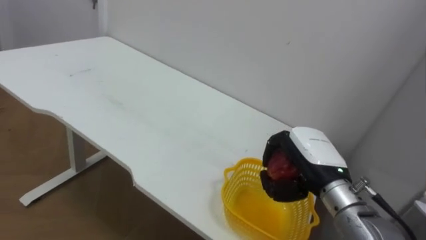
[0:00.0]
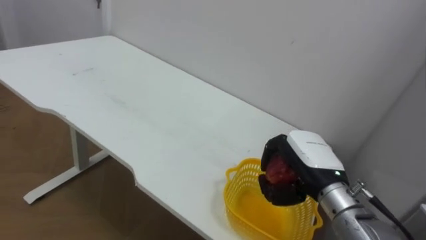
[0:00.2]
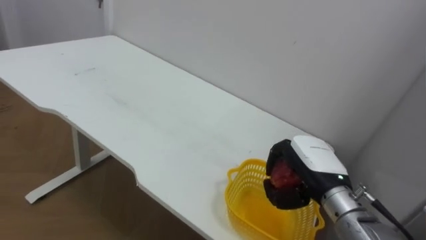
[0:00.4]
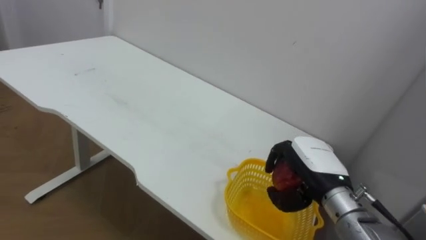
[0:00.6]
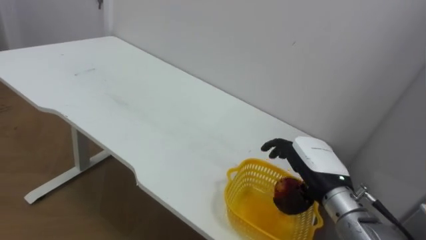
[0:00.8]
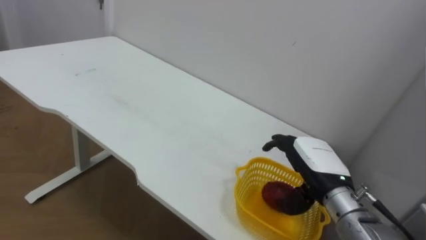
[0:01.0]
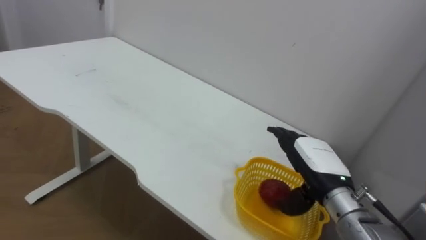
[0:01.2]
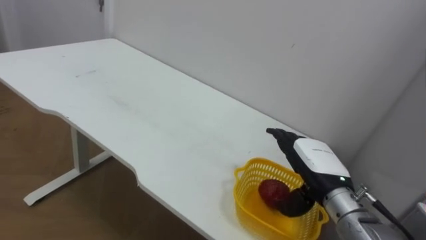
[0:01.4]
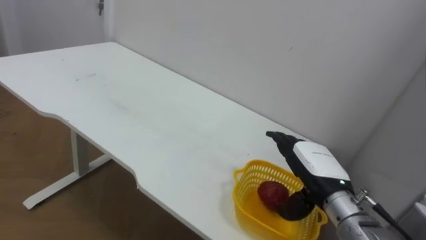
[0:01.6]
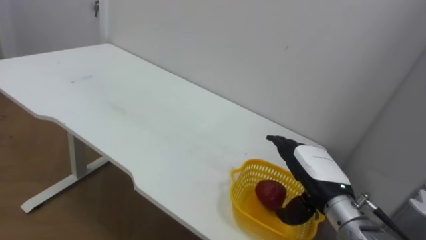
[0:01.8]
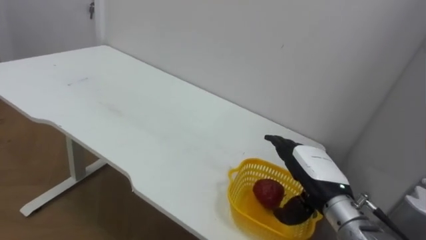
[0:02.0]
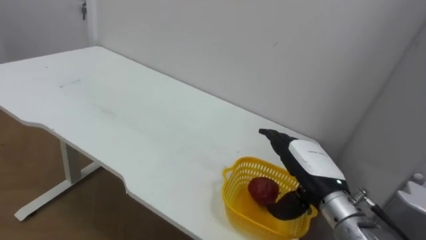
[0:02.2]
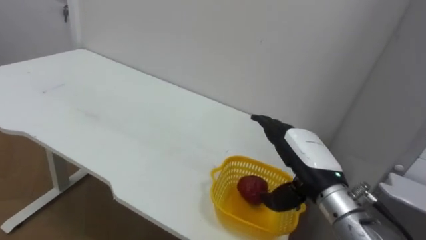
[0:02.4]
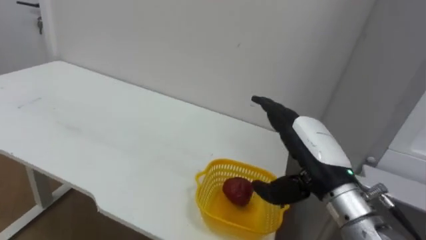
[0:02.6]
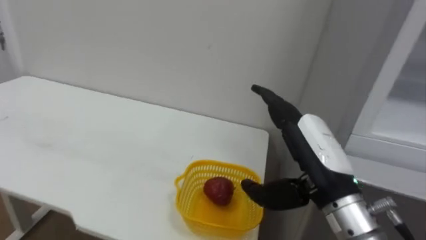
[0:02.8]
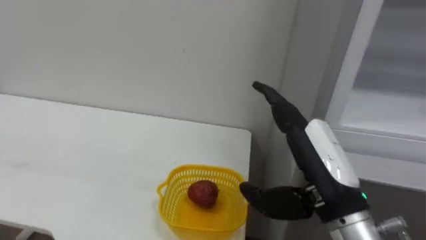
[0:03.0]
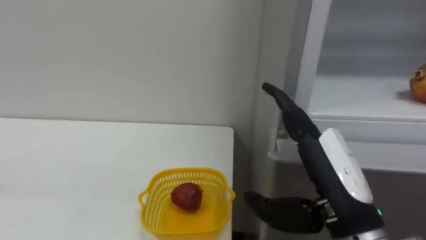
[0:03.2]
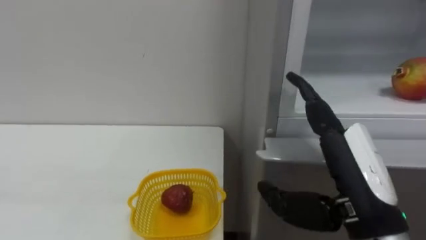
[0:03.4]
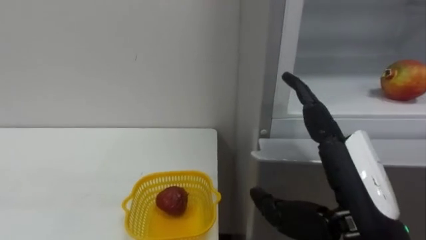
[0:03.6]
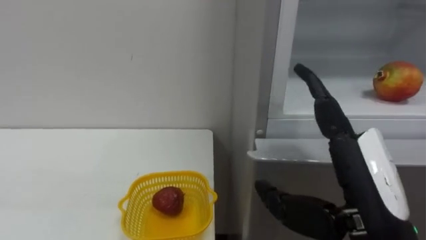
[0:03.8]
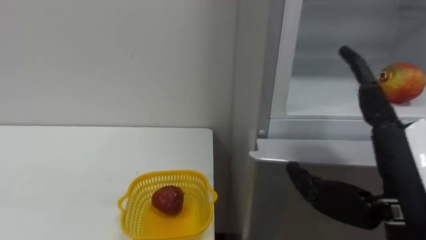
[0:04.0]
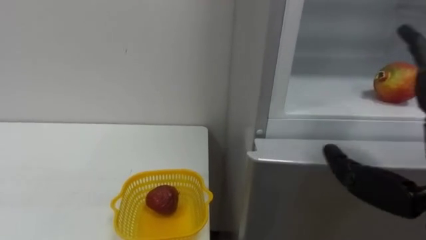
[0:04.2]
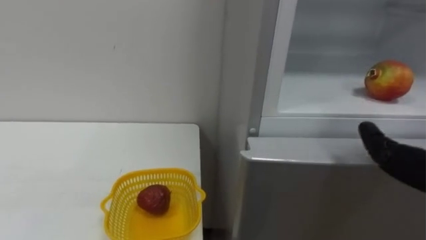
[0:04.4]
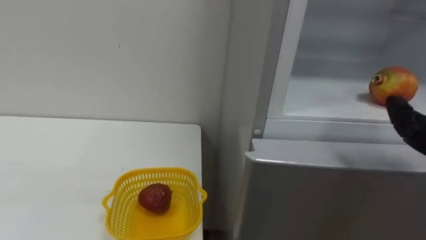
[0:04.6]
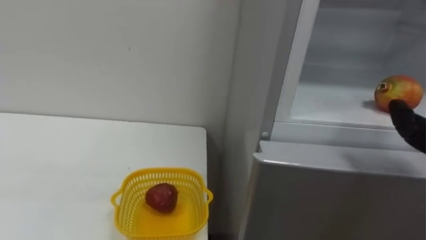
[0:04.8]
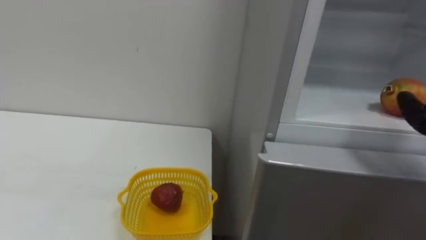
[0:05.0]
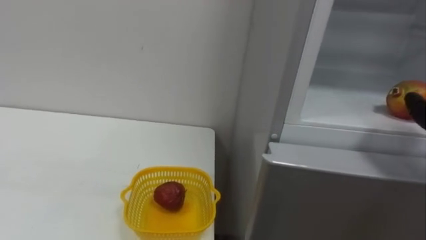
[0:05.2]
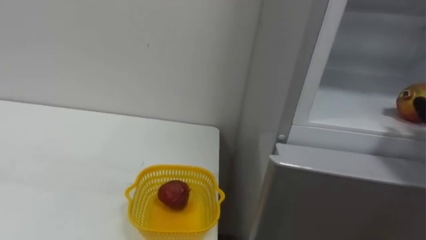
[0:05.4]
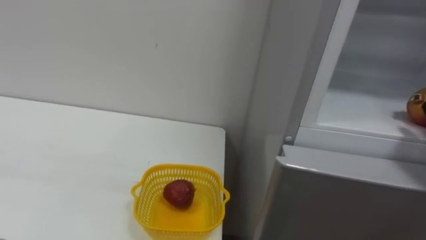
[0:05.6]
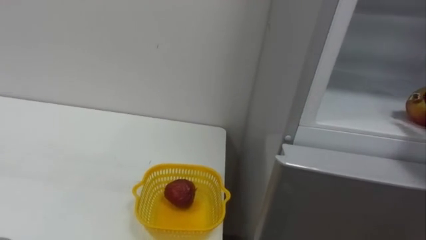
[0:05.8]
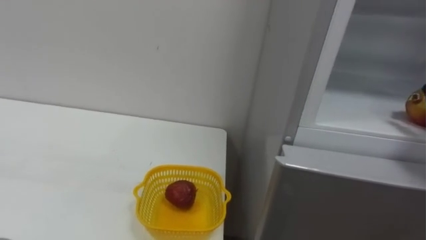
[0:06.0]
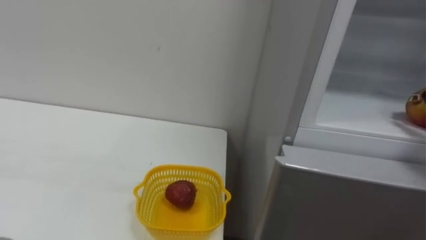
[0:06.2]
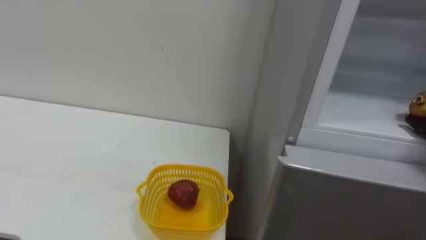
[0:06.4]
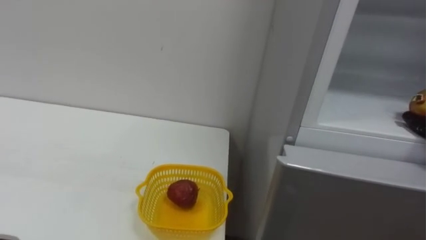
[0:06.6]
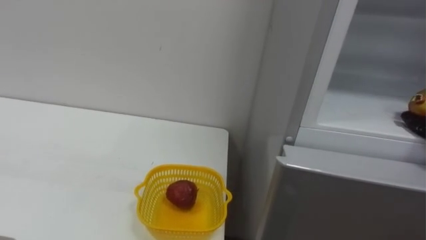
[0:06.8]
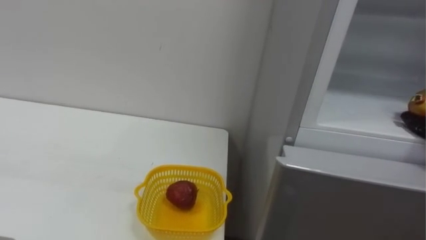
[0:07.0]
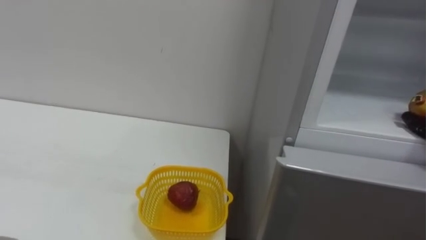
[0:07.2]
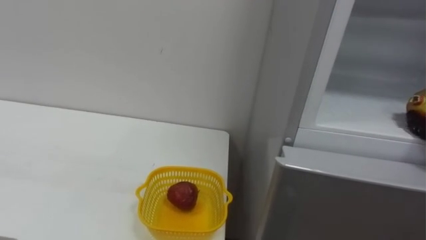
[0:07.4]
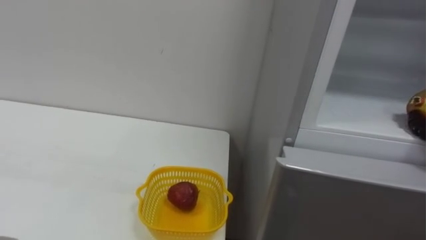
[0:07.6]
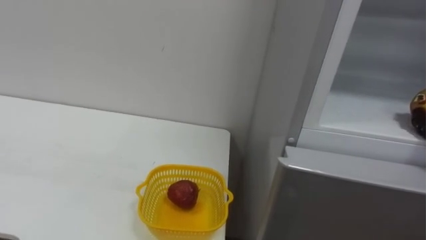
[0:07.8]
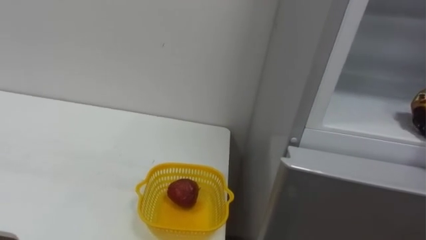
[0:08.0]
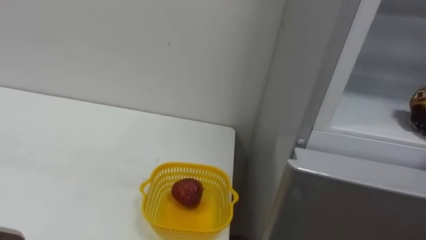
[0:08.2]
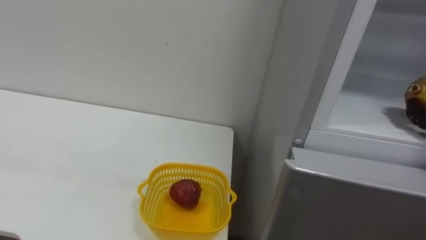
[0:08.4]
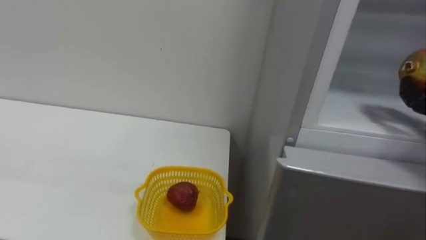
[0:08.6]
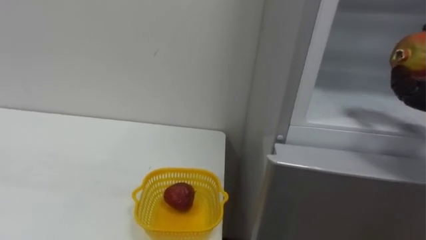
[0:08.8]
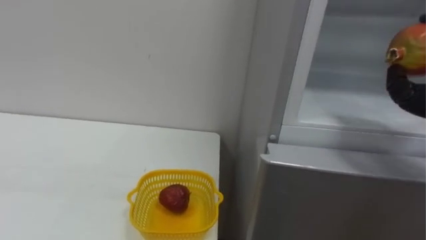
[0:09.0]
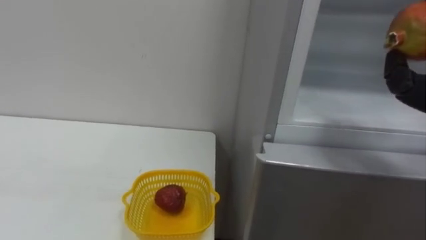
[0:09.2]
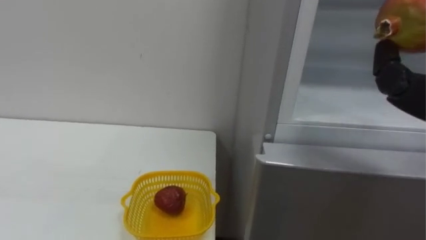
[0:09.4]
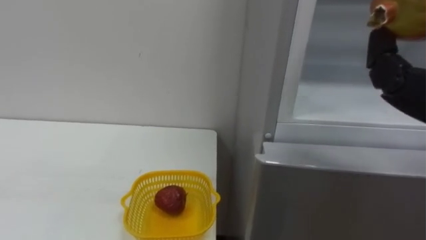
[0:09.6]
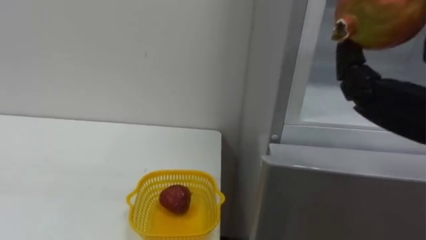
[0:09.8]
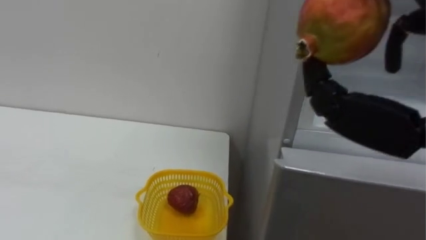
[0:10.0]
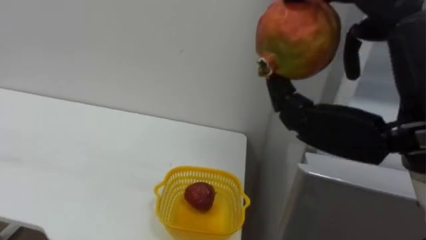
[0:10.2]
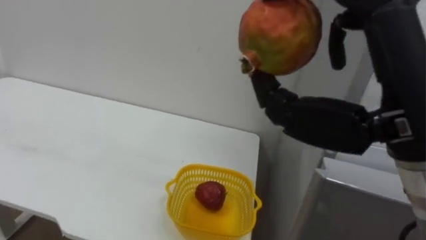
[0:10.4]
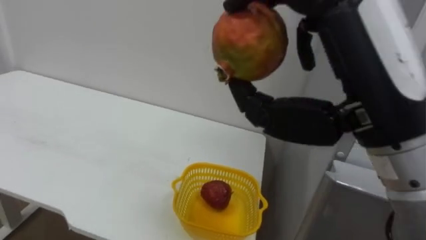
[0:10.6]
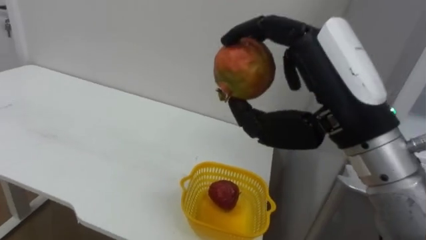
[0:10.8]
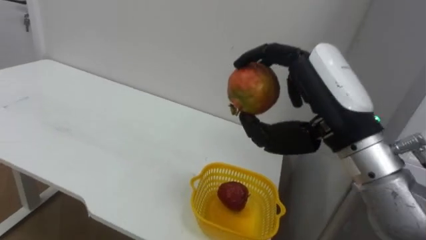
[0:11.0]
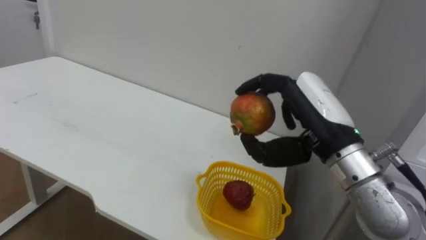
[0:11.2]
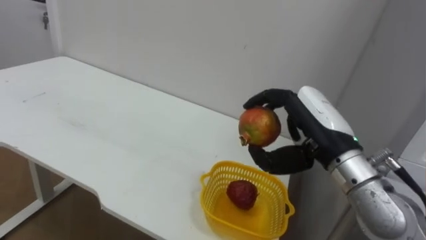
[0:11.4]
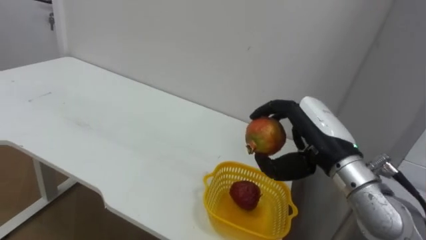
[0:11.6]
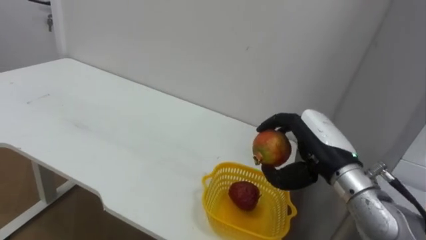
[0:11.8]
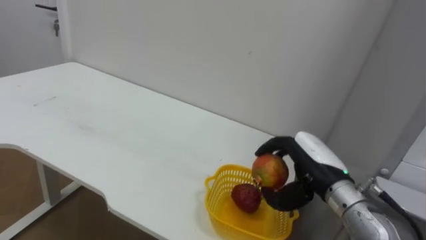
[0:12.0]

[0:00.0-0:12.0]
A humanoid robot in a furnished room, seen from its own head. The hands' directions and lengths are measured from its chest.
Task of the whole recording: Open the refrigerator door, take out the apple and the pomegranate, place them in the fruit basket on the left, and close the refrigerator door.
0:00.0 to 0:01.6: The right hand opens.
0:01.6 to 0:03.0: The right hand heads upward and backward, covering roughly 15 cm.
0:10.4 to 0:12.0: The right hand goes approximately 25 cm downward and forward.

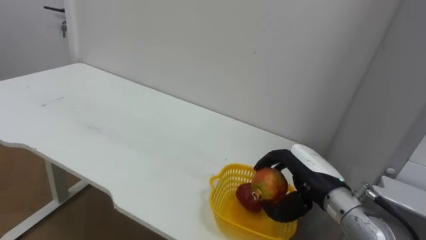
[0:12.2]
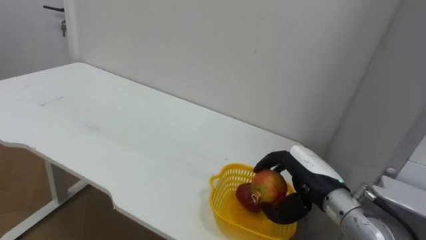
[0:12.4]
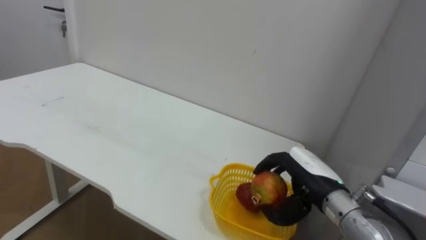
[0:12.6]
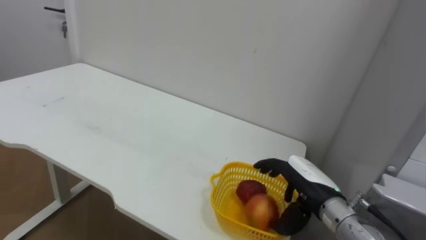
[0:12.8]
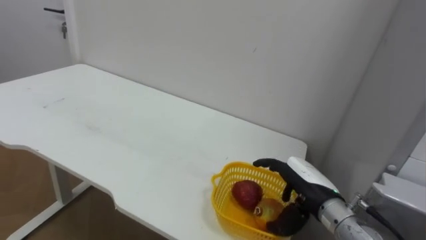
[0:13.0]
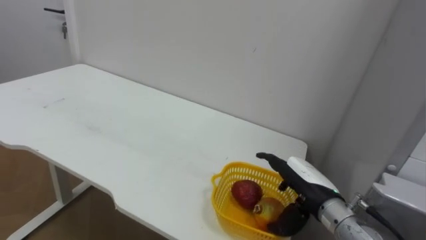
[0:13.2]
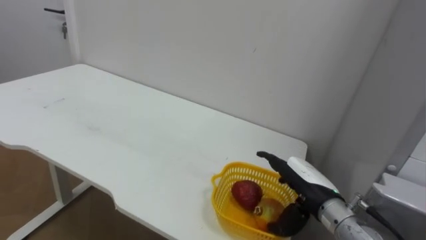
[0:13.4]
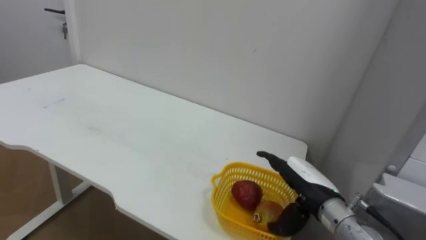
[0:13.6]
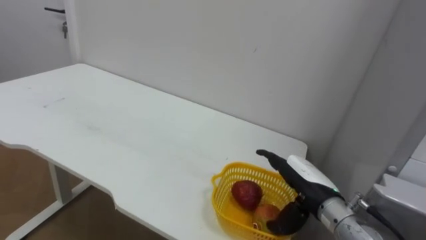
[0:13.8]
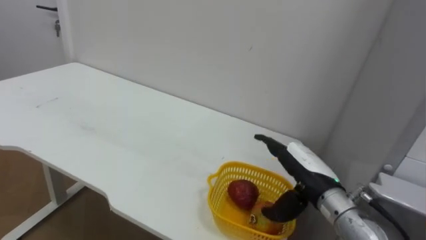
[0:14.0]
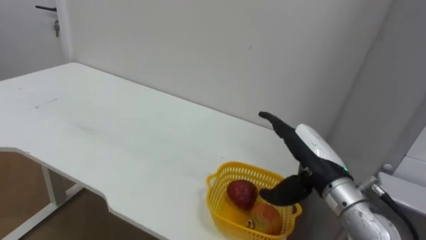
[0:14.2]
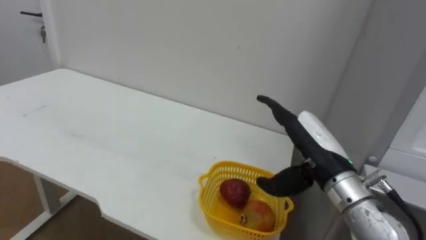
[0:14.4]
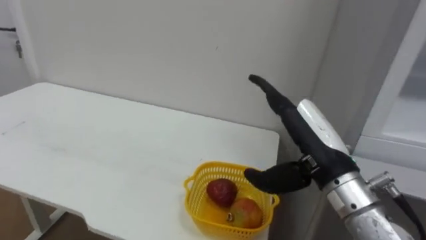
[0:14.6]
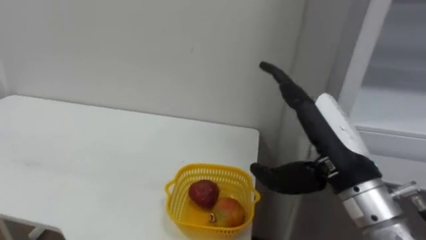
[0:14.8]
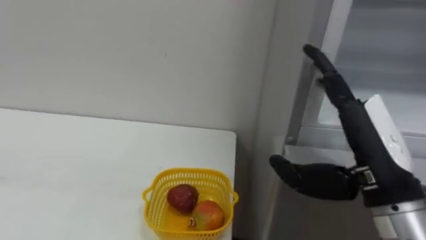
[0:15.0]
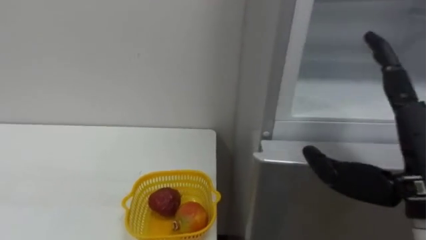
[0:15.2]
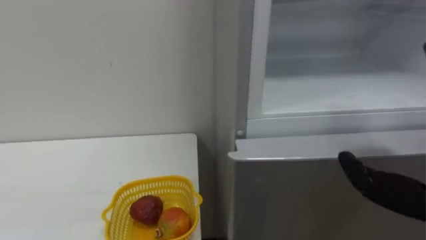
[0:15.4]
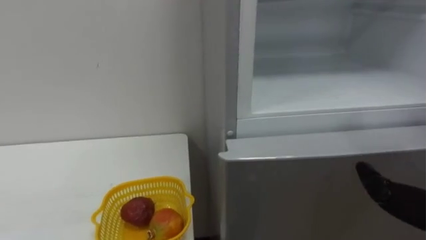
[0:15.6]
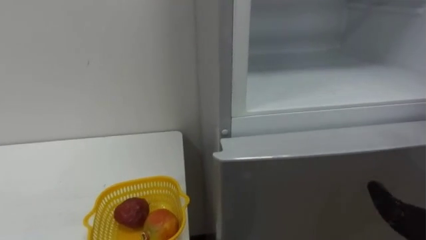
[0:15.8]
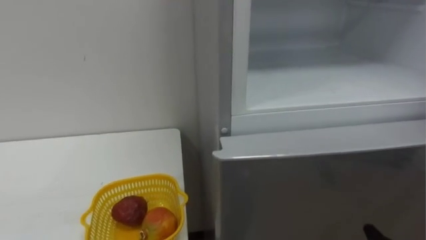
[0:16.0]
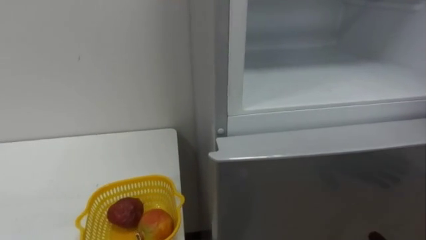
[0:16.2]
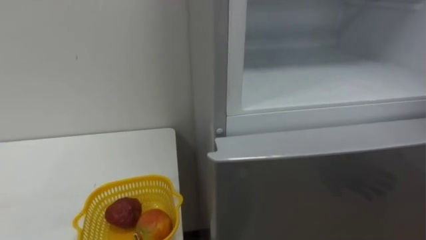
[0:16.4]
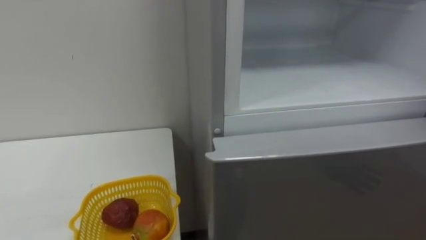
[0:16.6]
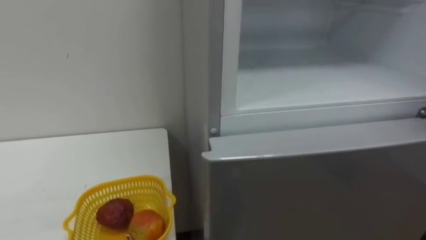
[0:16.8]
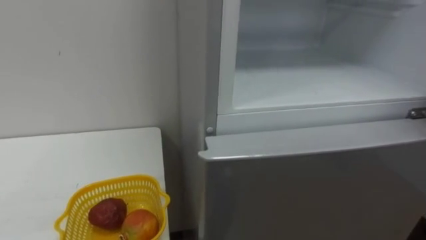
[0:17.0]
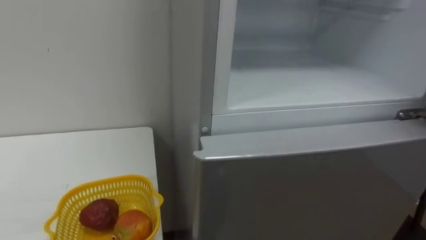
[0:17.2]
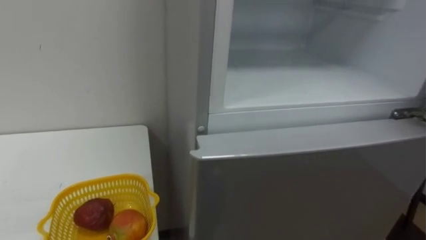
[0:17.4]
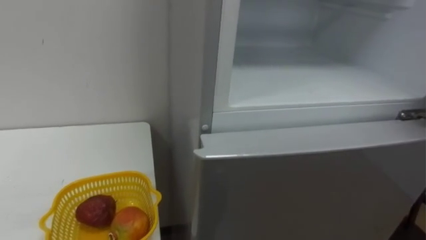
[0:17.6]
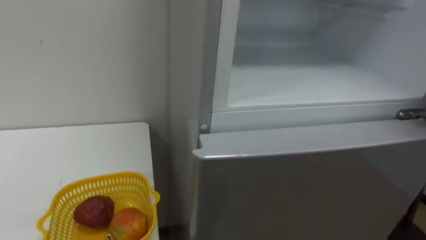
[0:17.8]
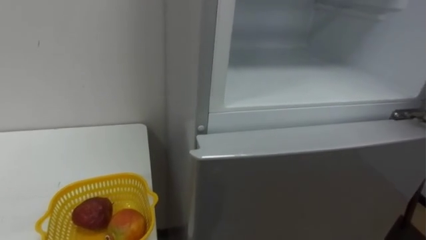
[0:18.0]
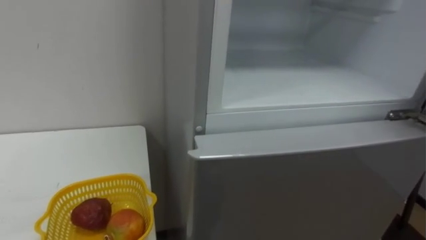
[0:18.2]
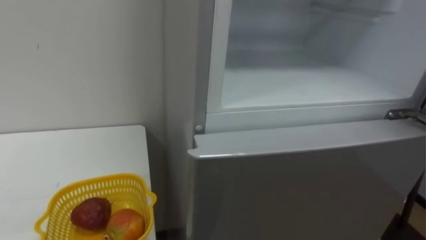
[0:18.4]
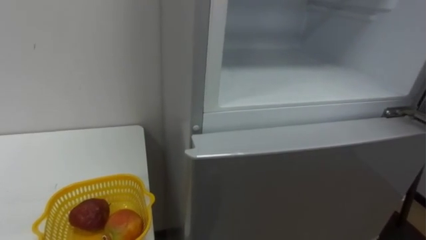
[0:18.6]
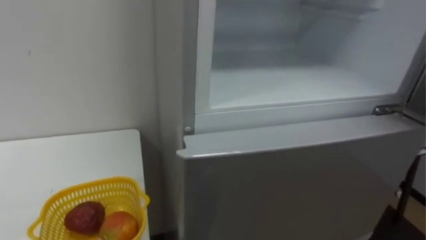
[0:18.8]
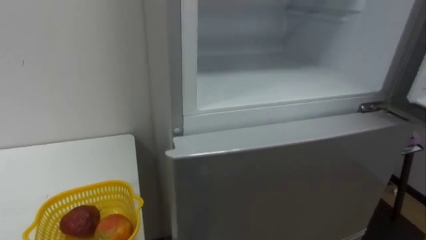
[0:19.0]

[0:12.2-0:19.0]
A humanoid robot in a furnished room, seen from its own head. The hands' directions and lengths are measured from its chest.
Task of the whole recording: Open the refrigerator door, take out the apple and the pomegranate, place them in the fruit basket on the left, and close the refrigerator door.
0:12.2 to 0:13.6: The right hand opens up.
0:13.6 to 0:15.0: The right hand heads upward and backward, covering about 20 cm.
